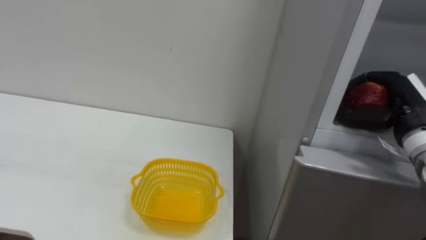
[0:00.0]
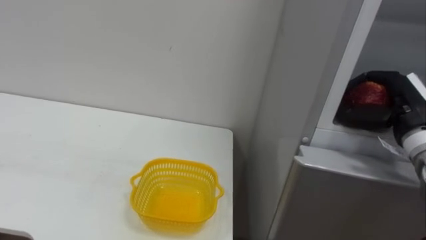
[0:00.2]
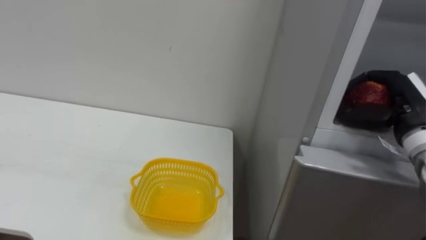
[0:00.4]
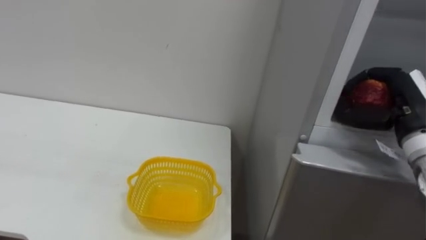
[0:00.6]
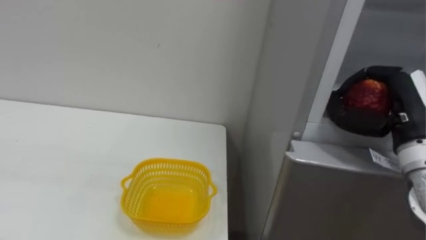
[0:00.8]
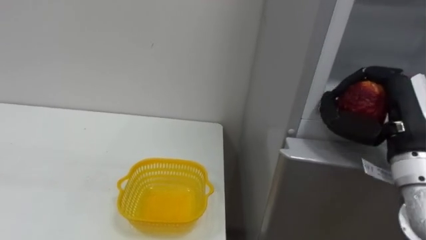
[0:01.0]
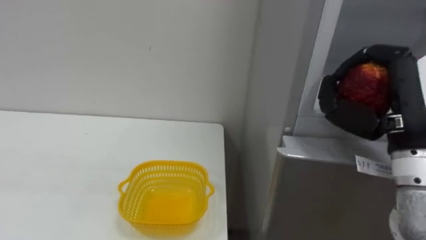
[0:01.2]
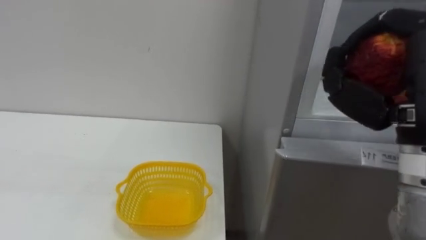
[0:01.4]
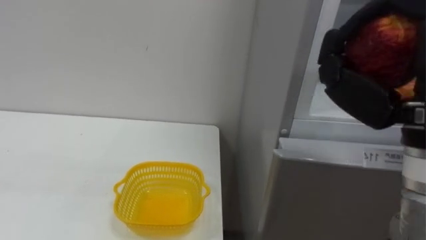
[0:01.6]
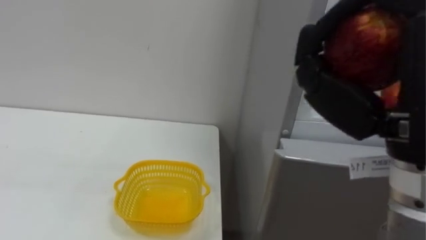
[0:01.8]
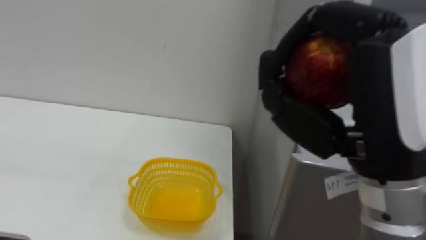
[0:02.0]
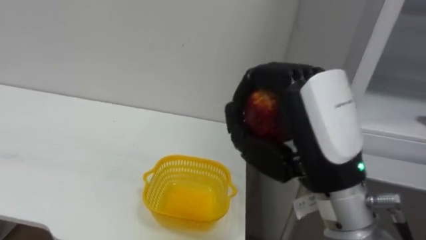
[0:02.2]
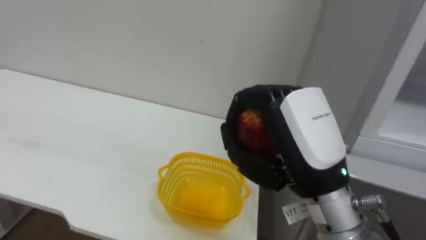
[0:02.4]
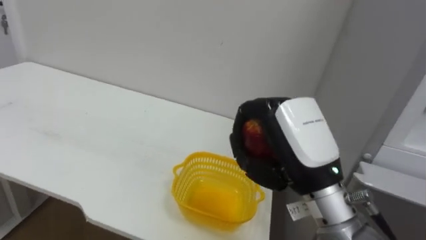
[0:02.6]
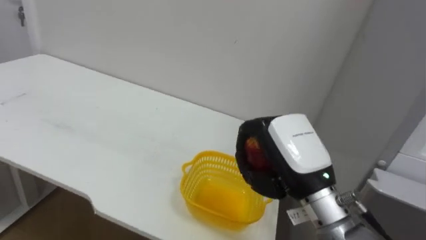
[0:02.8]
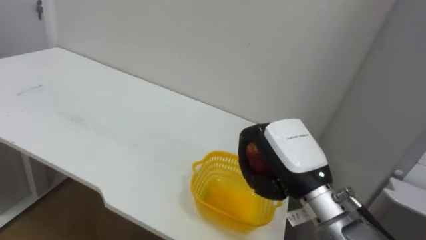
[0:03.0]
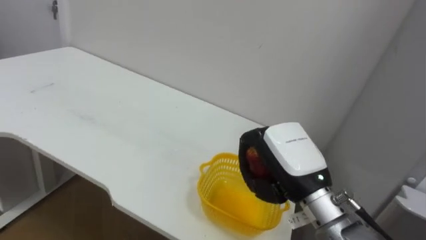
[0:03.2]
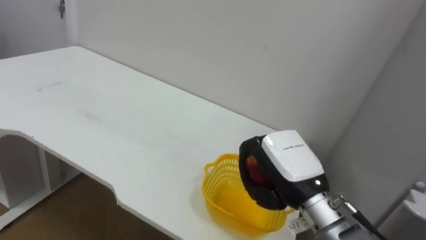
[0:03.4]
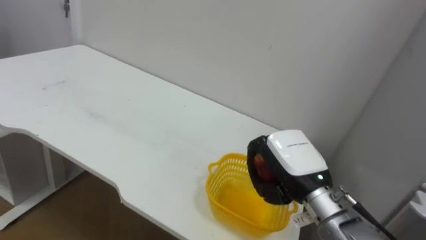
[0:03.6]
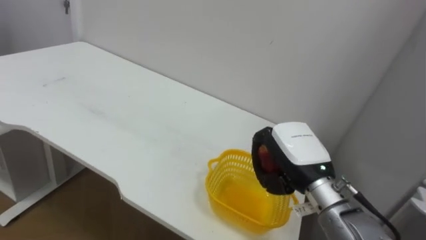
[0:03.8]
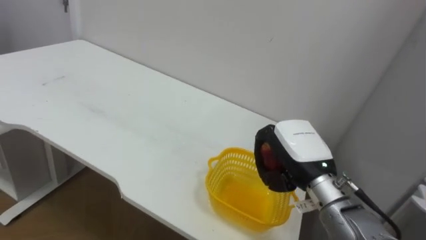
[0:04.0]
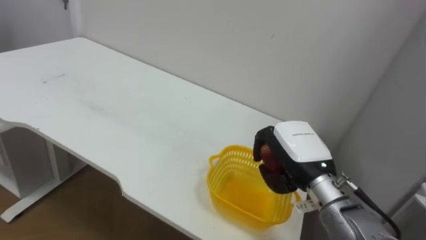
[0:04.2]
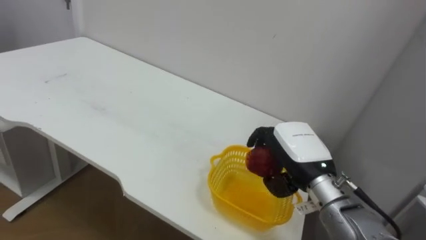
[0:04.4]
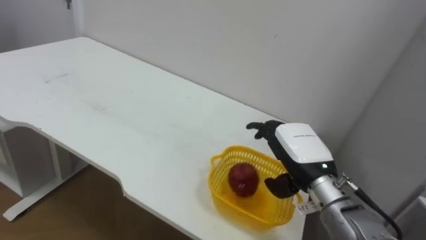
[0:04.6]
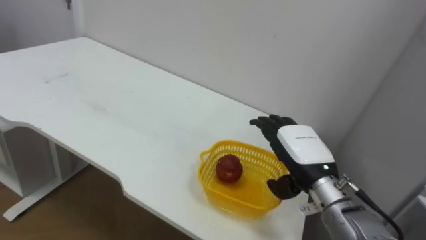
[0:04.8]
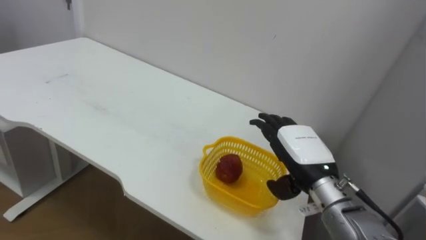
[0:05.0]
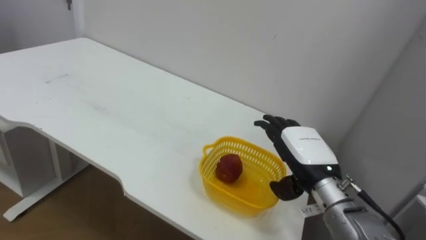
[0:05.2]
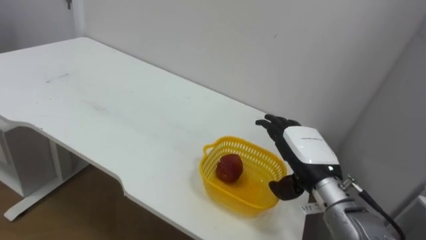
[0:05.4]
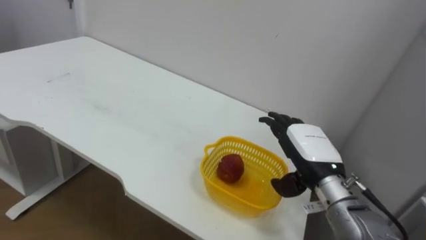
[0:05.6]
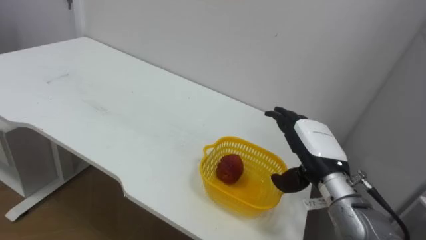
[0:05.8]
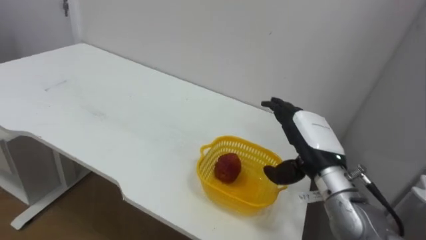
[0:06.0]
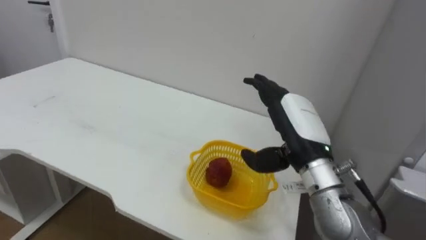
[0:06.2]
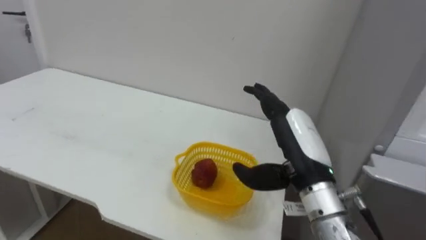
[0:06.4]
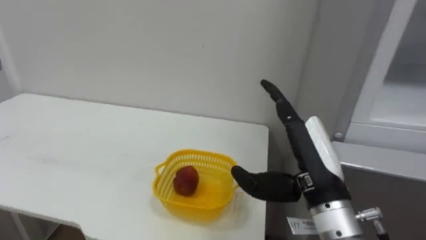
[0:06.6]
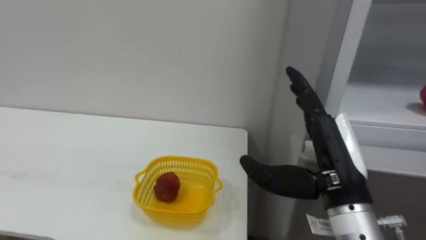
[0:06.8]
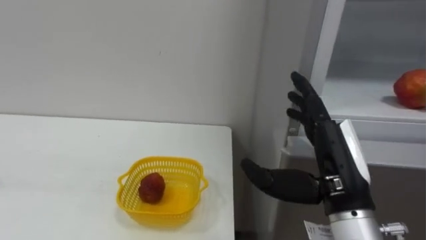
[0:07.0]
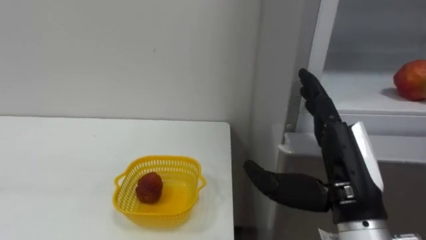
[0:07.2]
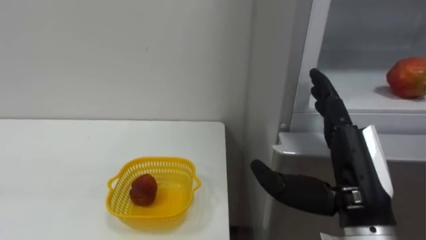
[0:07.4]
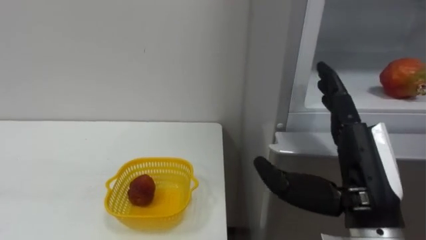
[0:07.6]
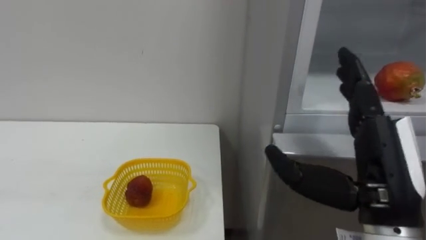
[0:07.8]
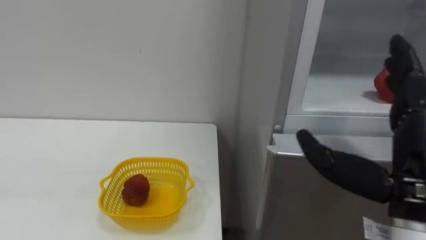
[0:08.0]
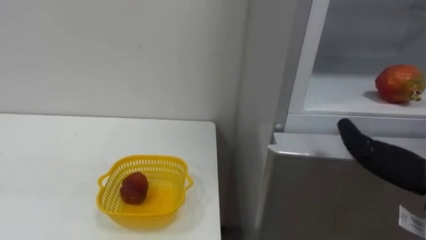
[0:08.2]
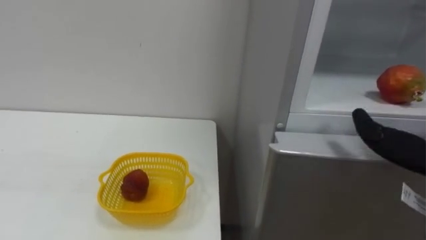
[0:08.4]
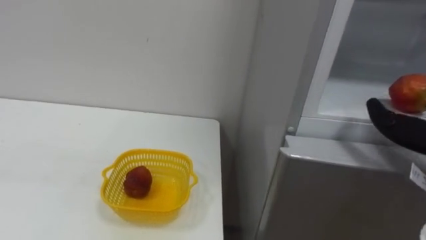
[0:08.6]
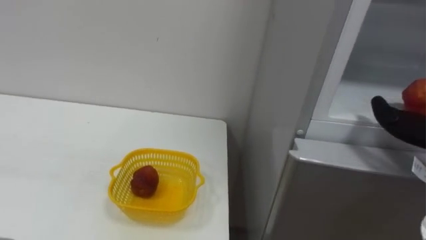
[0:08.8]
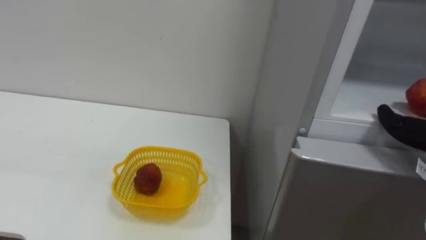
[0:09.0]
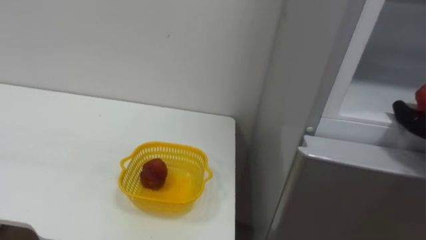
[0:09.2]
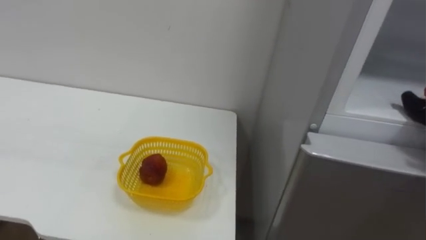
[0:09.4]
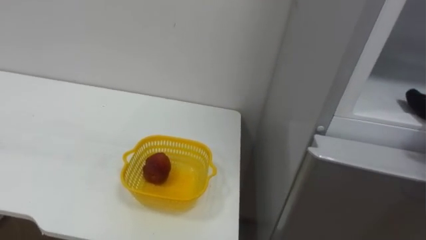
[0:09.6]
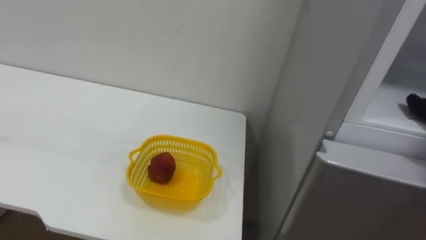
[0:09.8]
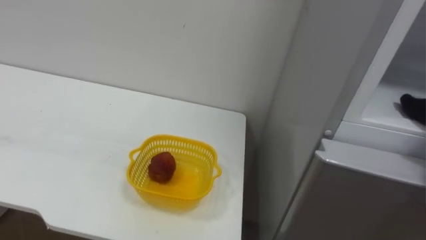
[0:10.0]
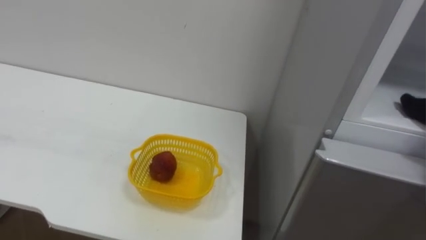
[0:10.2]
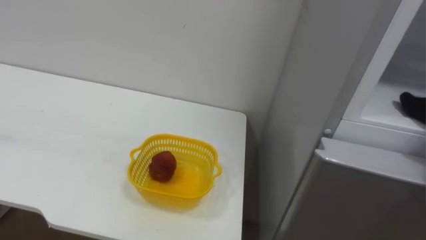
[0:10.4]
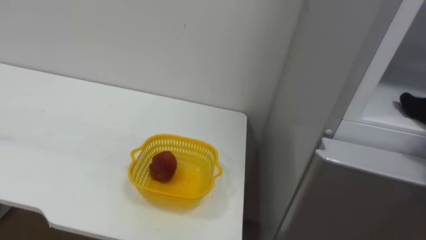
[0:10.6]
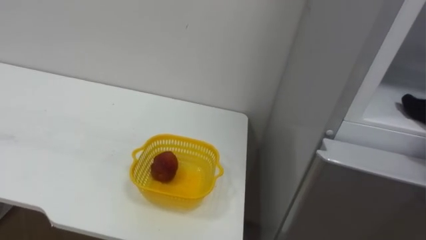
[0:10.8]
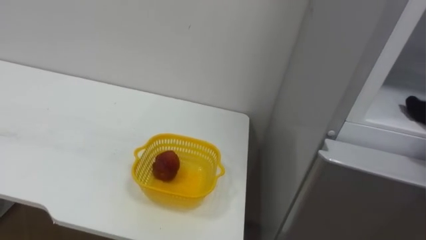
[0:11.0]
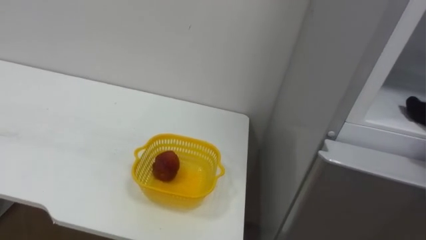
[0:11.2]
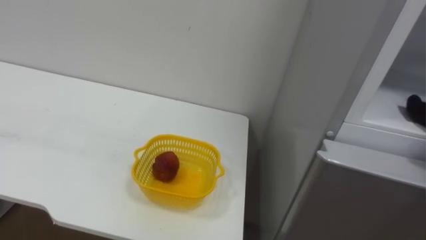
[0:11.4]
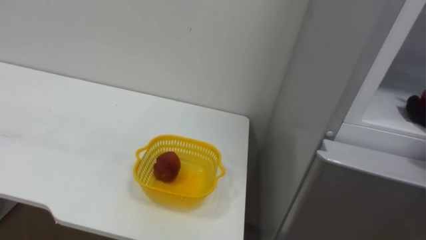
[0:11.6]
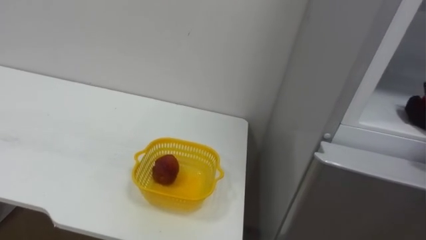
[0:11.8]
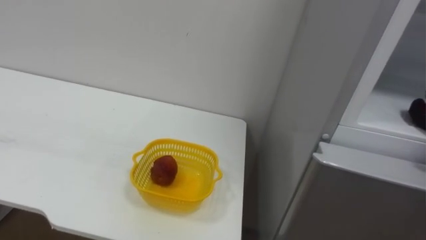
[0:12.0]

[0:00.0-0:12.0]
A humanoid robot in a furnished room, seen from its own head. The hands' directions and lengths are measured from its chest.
Task of the whole recording: Open the refrigerator door, take out the apple and the pomegranate, place them in the fruit basket on the left, and close the refrigerator door.
0:00.0 to 0:01.6: The right hand is displaced backward, upward and to the left by approximately 20 cm.
0:01.6 to 0:03.0: The right hand shifts about 20 cm downward, forward and to the left.
0:03.0 to 0:04.4: The right hand shifts by roughly 5 cm, and opens up.
0:04.4 to 0:06.0: The right hand opens its fingers.
0:06.0 to 0:07.6: The right hand is displaced backward and upward by roughly 15 cm.

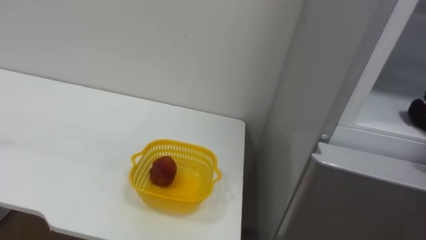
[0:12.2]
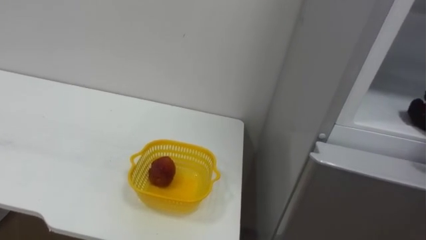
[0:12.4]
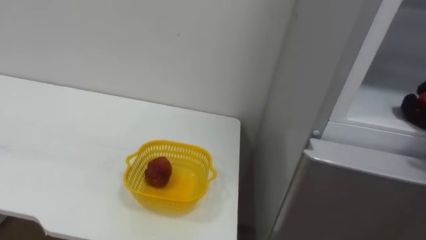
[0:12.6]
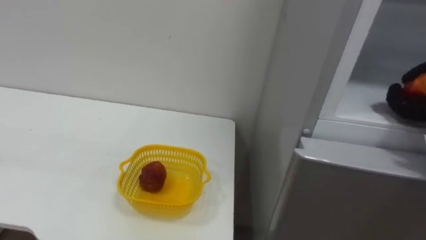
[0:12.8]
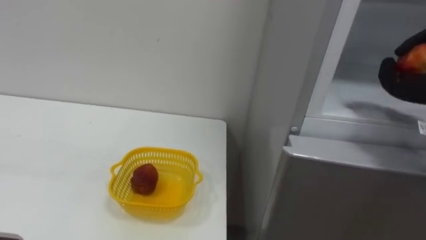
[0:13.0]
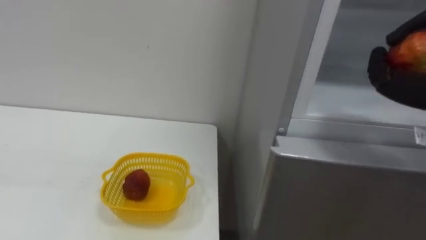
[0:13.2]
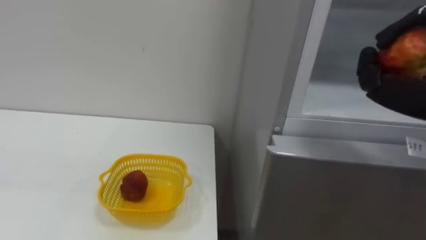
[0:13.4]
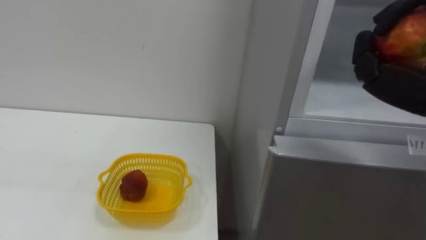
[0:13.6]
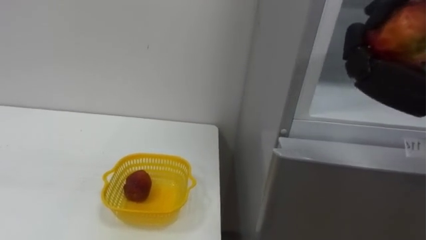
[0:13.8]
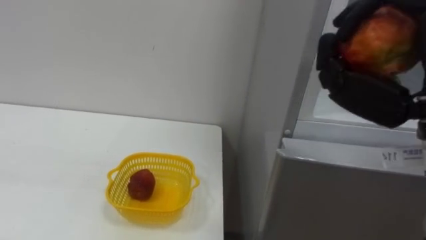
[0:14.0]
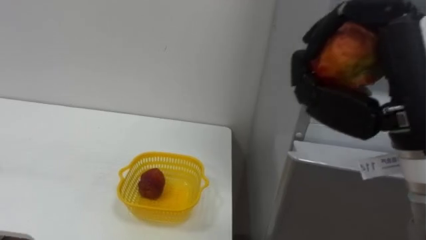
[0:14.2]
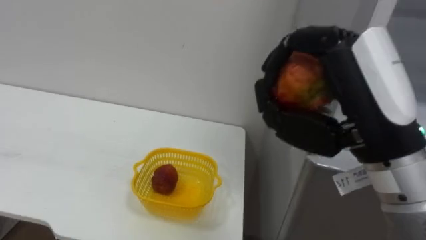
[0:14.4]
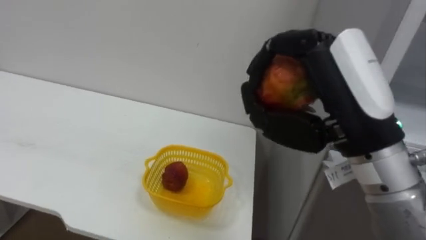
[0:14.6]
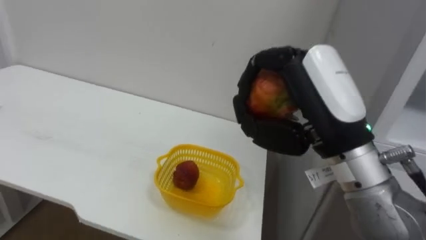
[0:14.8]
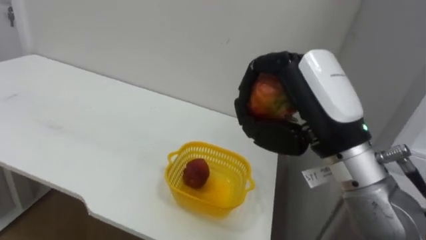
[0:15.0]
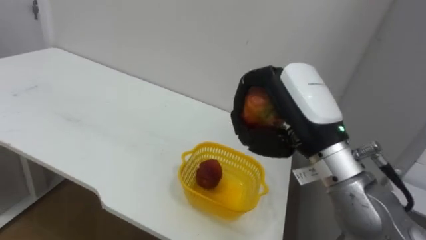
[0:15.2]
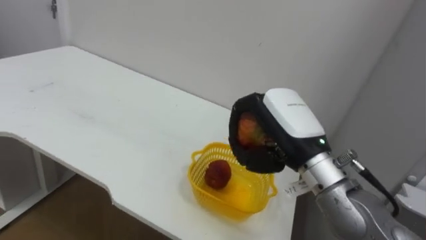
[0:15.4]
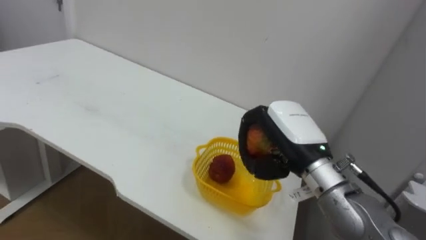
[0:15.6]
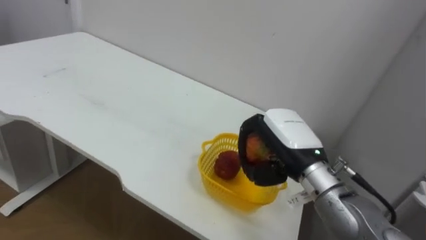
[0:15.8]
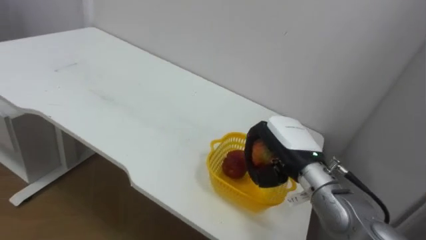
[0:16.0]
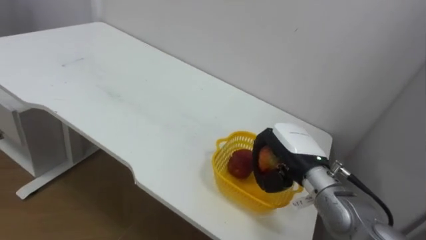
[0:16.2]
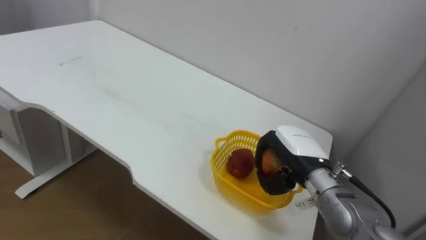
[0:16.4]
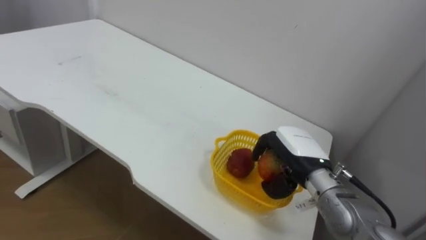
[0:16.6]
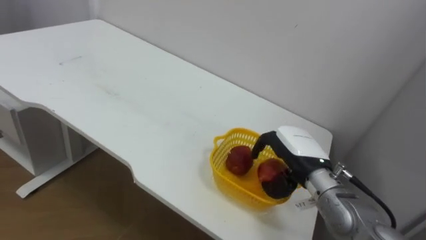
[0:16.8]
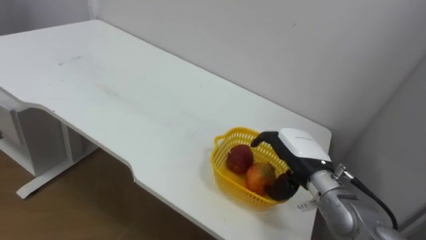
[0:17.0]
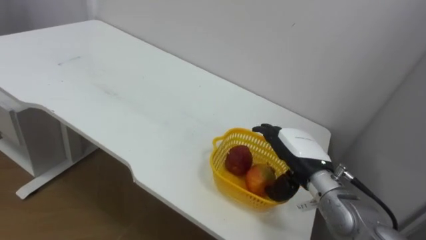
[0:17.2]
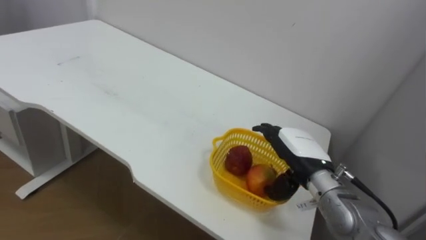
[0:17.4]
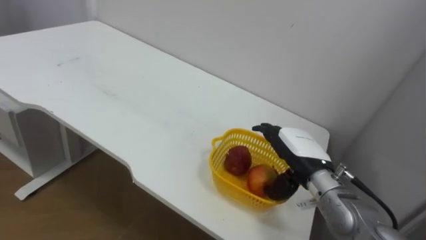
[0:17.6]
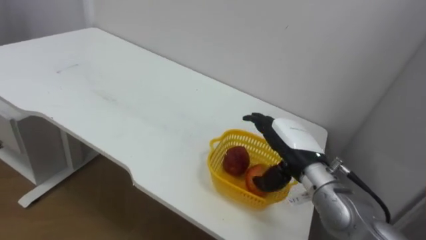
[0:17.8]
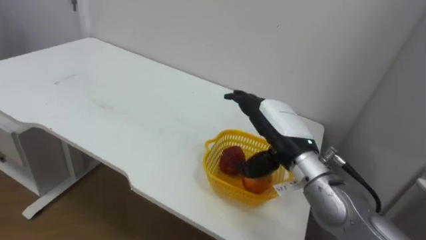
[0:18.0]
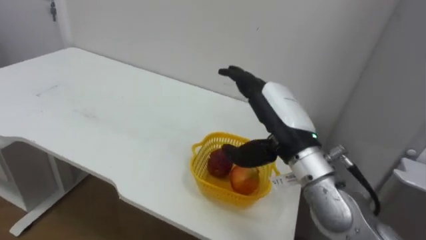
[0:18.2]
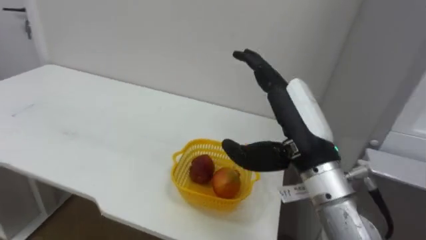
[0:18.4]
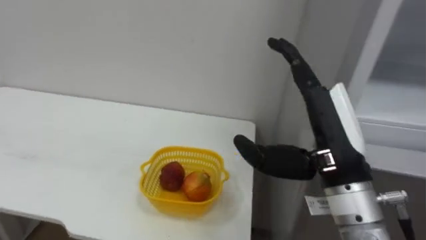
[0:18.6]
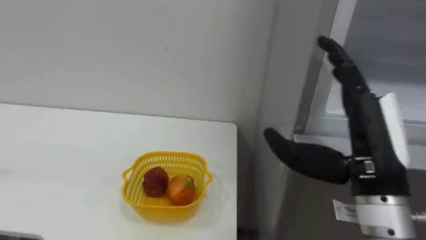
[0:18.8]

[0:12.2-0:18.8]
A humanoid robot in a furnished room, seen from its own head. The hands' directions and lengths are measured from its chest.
Task of the whole recording: Open the refrigerator door, take out the apple and the pomegranate, place them in the fruit basket on the left, and close the refrigerator door.
0:15.4 to 0:17.2: The right hand is displaced downward and forward by approximately 10 cm, and opens up.
0:17.2 to 0:18.8: The right hand moves backward and upward, roughly 15 cm.
